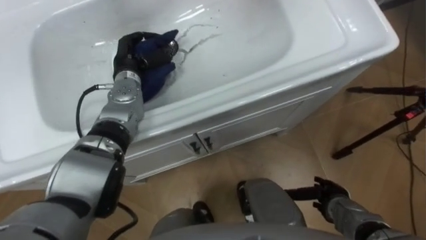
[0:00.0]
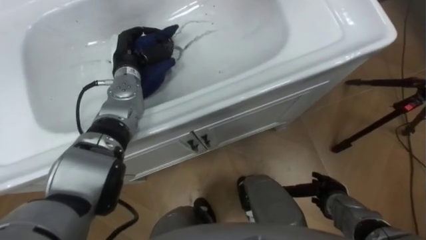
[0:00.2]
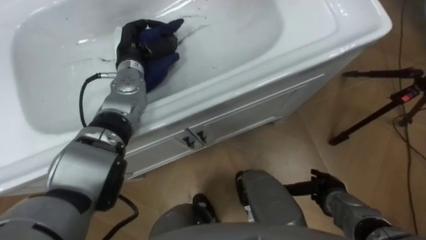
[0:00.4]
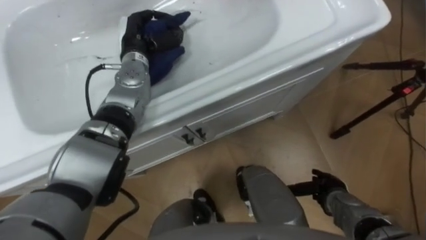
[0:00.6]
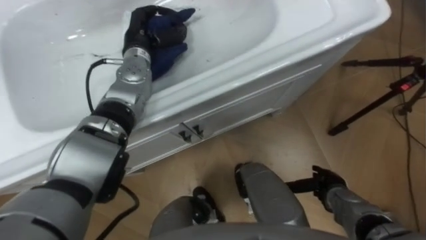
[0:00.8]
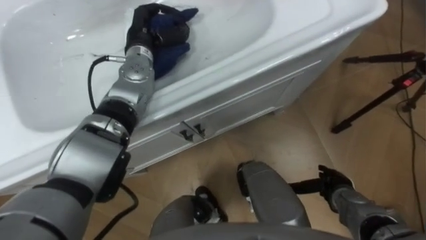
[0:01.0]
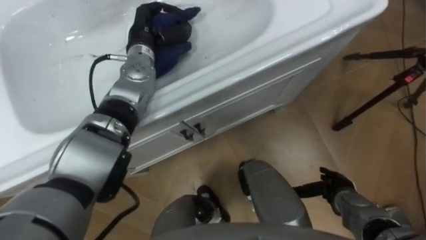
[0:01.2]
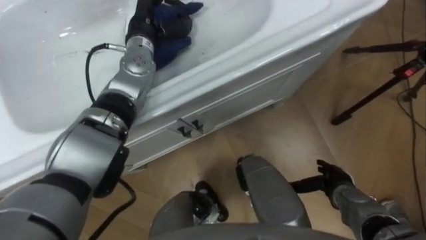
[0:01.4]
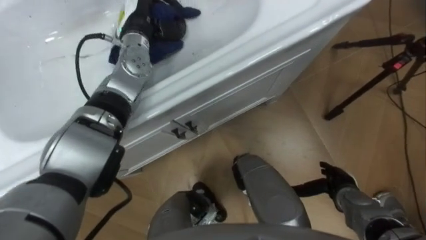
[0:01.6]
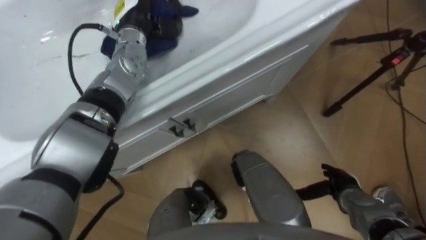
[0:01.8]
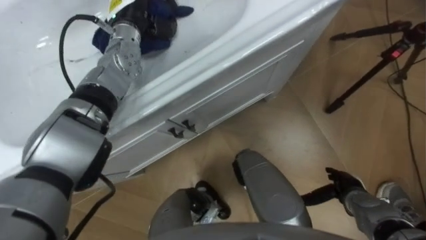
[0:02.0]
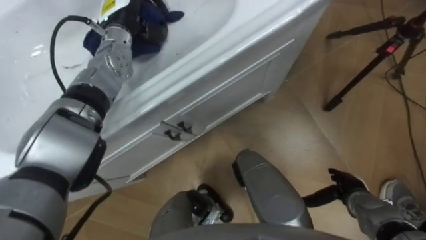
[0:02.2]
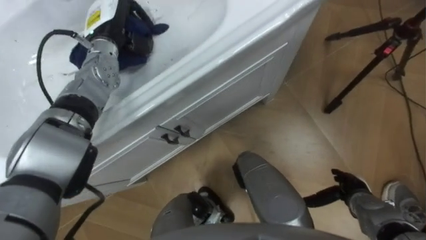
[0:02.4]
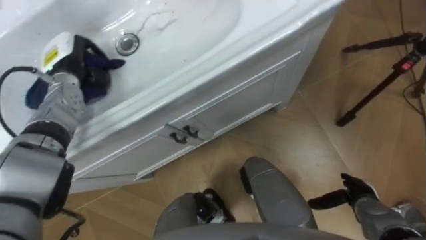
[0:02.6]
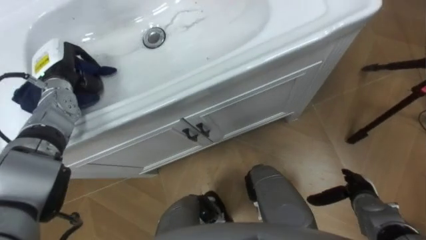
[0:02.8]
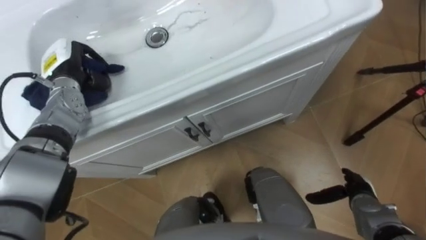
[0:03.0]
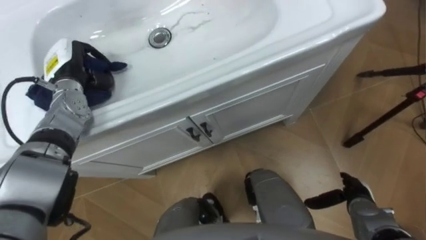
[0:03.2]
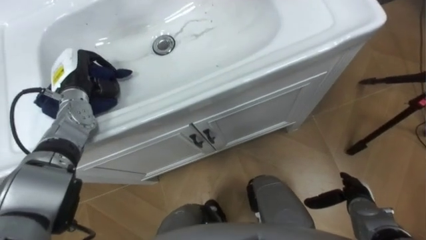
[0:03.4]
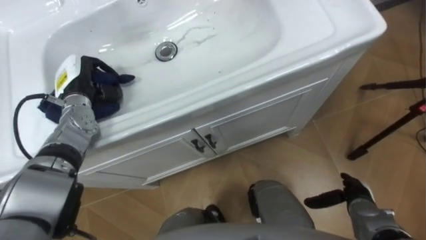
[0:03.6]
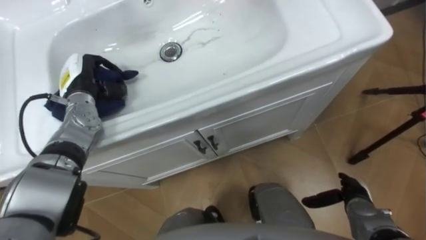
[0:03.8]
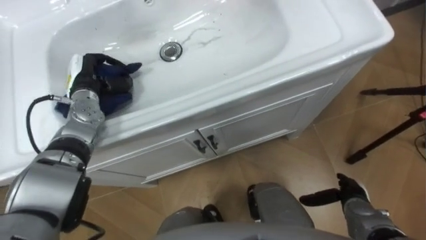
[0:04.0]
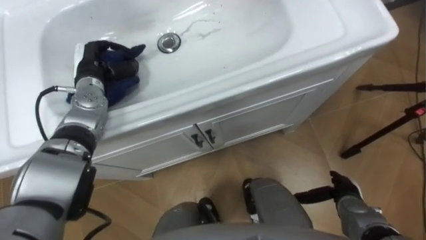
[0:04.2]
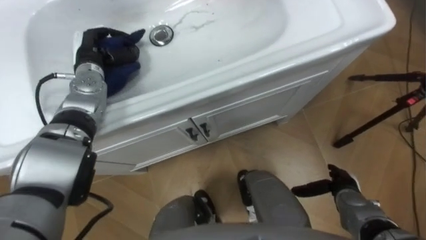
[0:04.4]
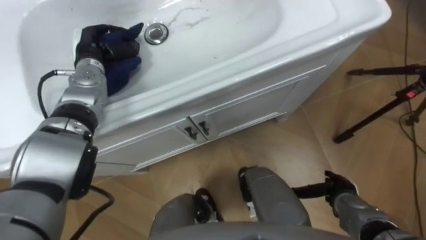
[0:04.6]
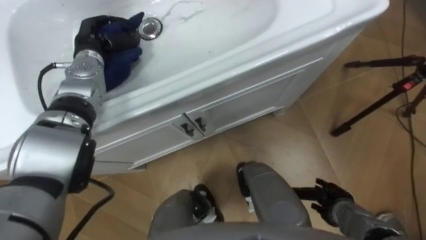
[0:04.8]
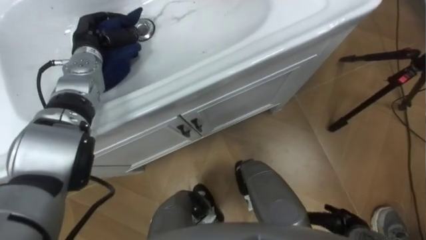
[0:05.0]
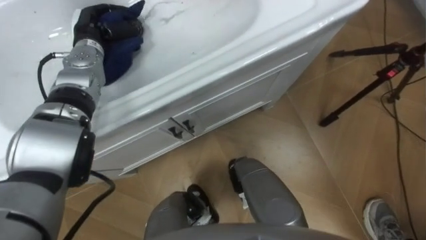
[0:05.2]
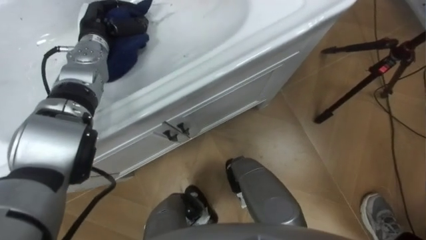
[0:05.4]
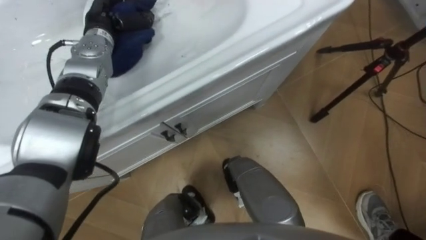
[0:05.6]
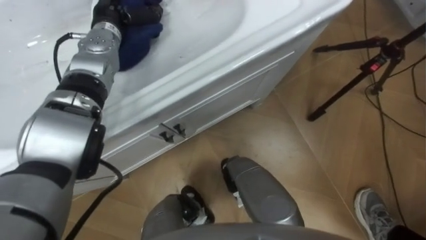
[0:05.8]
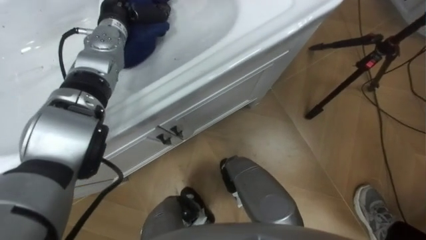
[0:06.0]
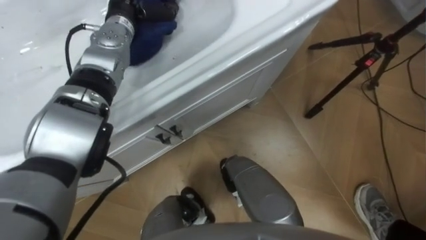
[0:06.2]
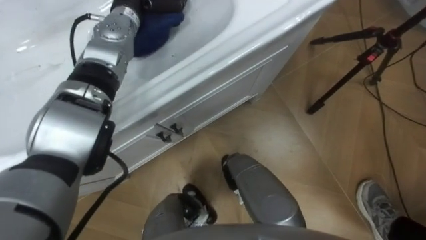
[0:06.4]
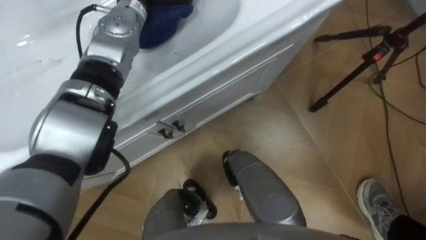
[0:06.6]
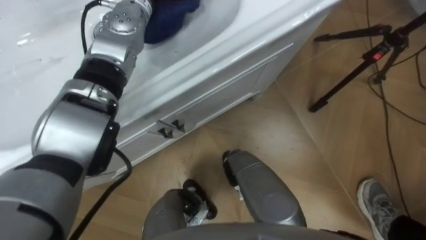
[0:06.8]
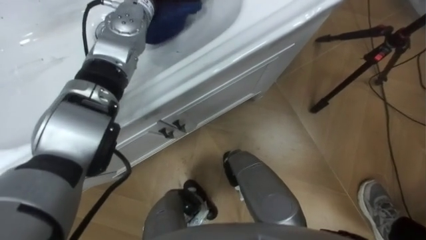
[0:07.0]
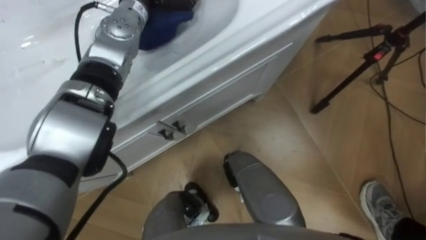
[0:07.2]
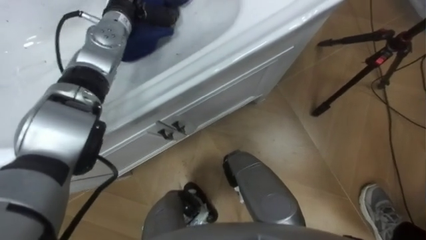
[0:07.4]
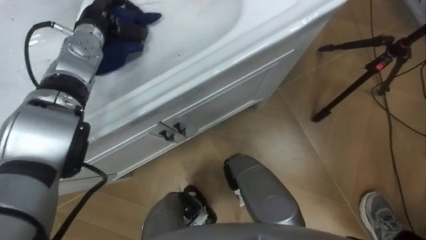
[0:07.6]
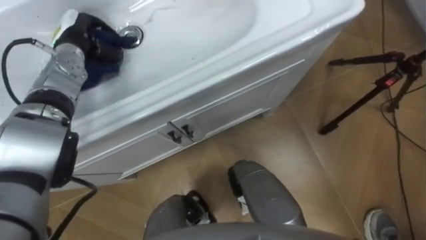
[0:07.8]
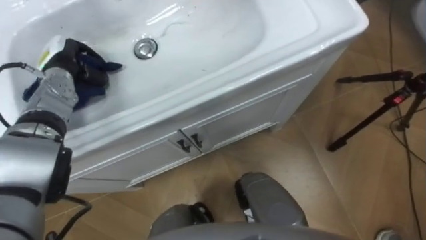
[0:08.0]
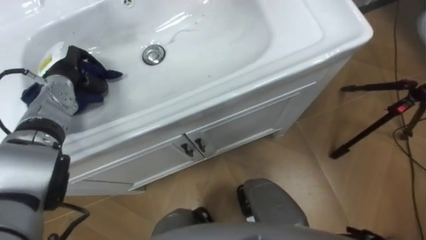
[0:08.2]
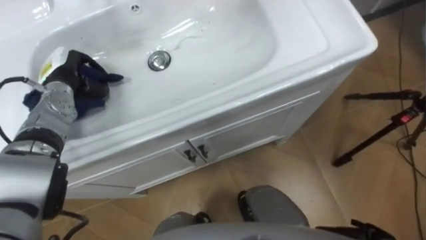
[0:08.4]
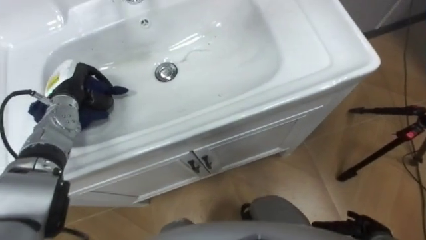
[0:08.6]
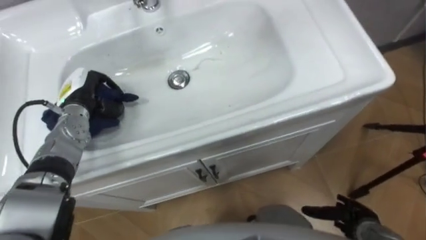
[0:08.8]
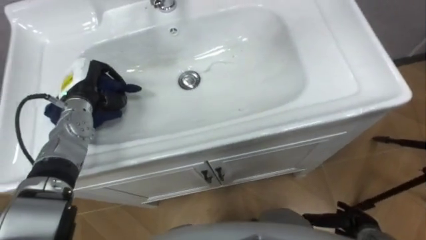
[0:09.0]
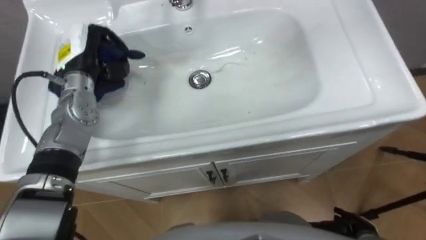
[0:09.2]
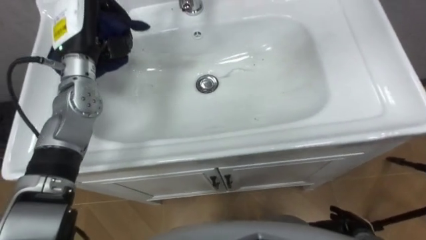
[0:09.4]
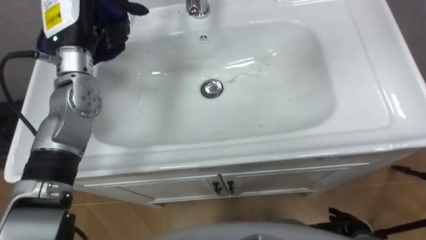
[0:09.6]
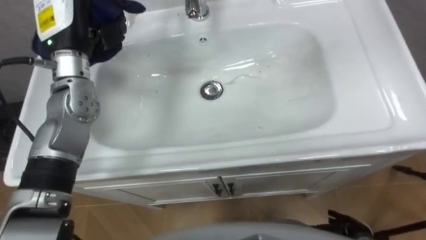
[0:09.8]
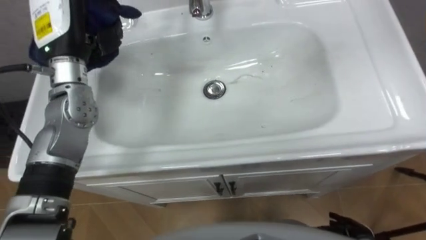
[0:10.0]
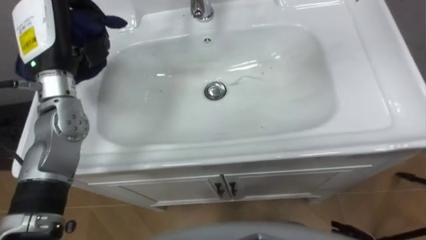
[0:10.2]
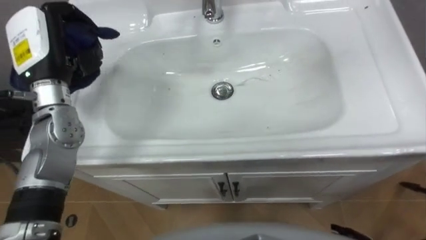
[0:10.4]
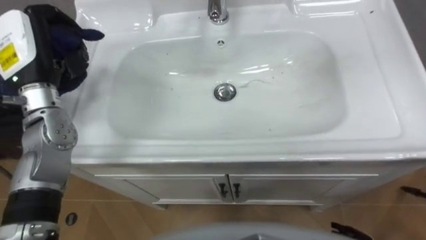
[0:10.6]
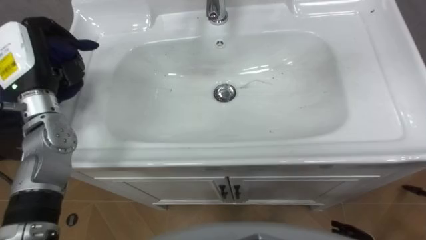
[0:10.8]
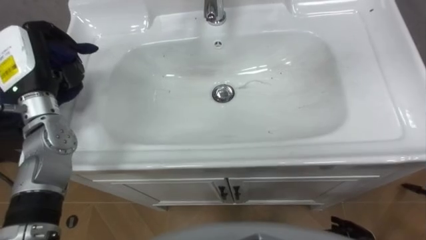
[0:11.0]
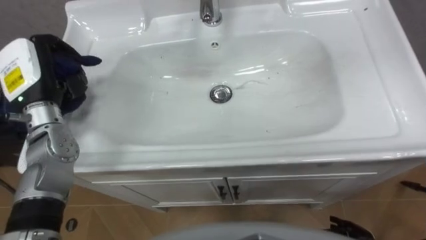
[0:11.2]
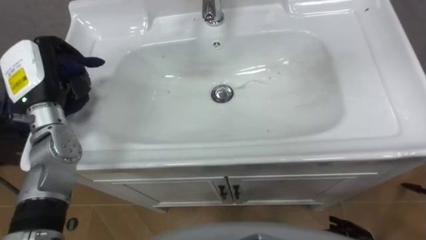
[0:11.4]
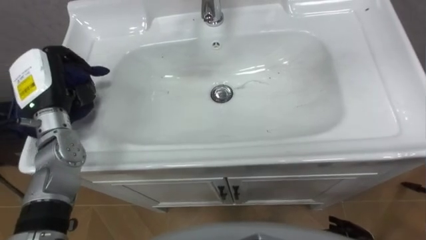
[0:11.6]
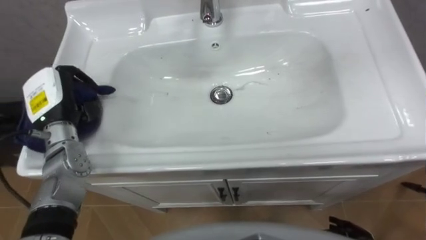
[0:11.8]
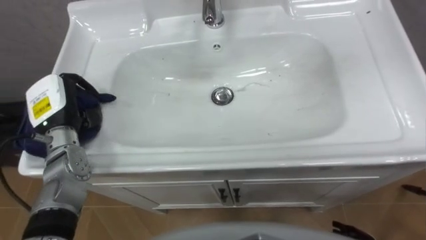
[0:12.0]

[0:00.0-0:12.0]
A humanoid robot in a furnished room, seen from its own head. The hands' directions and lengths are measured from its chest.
Task of the whole recording: Use the cloth on the right to wipe away the black stain in the sink.
0:00.0 to 0:01.6: The left hand goes roughly 10 cm upward.
0:01.6 to 0:03.0: The left hand shifts approximately 20 cm to the left, downward and backward.
0:03.0 to 0:04.4: The left hand moves about 5 cm.
0:04.4 to 0:06.0: The left hand heads to the right, upward and forward, covering some 10 cm.
0:07.6 to 0:09.0: The left hand travels backward, downward and to the left by about 15 cm.
0:09.0 to 0:10.4: The left hand shifts about 15 cm upward.
0:10.4 to 0:12.0: The left hand heads downward, covering about 10 cm.

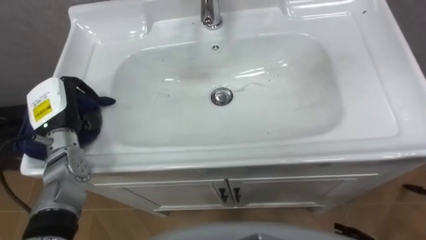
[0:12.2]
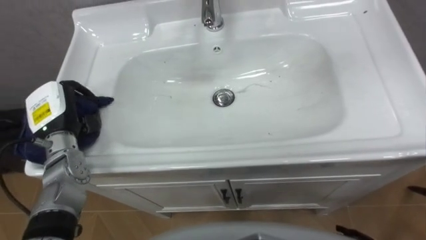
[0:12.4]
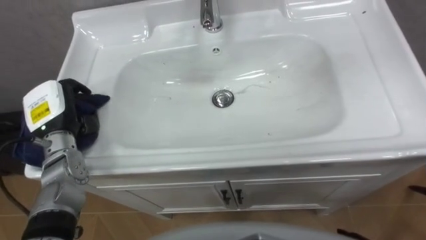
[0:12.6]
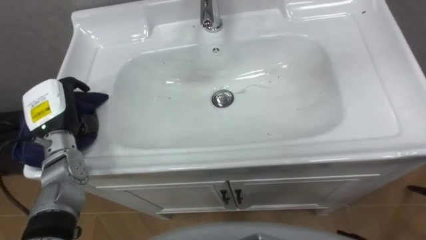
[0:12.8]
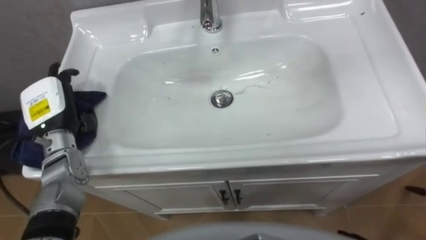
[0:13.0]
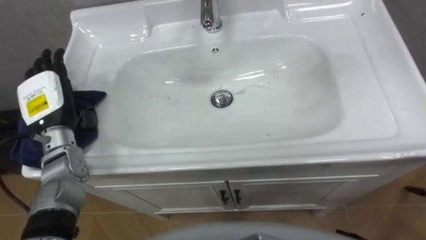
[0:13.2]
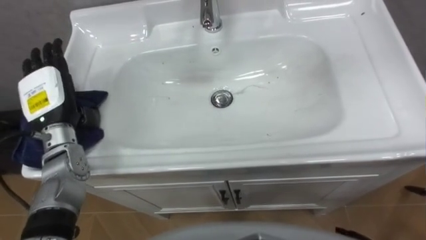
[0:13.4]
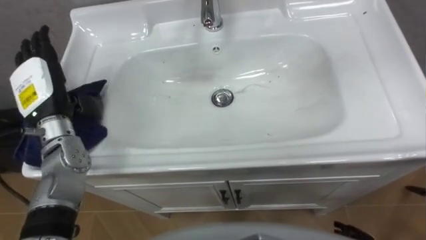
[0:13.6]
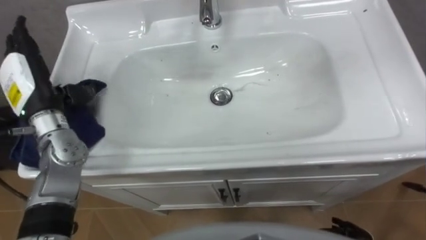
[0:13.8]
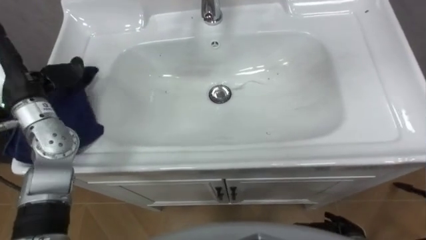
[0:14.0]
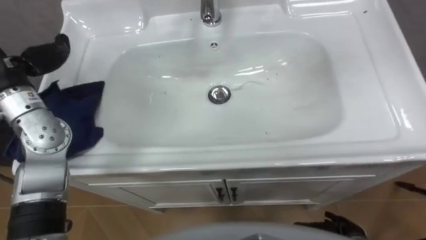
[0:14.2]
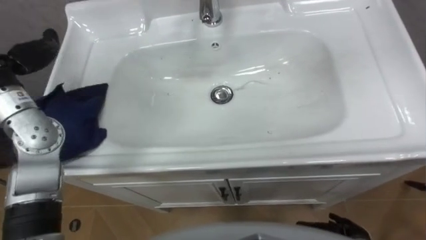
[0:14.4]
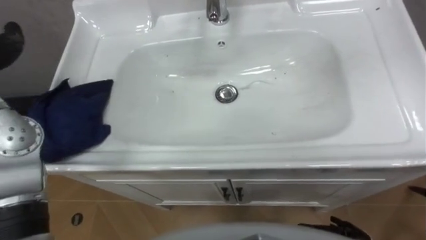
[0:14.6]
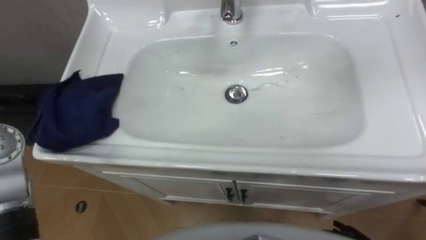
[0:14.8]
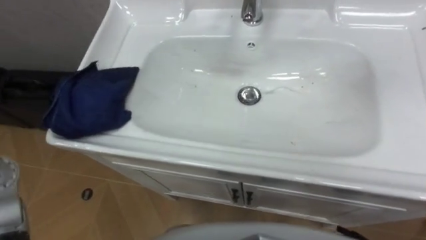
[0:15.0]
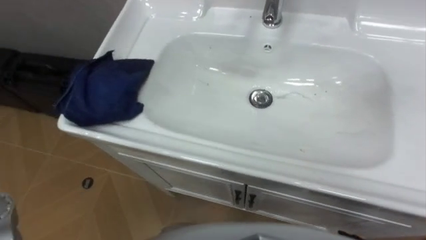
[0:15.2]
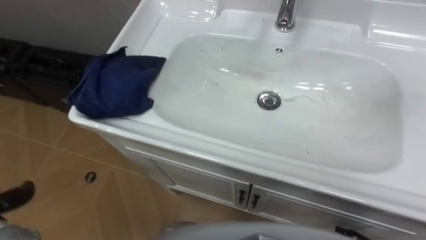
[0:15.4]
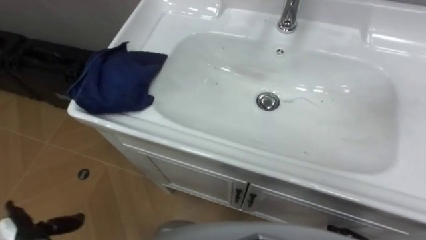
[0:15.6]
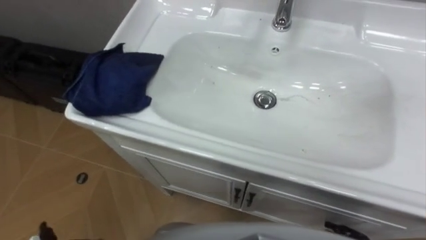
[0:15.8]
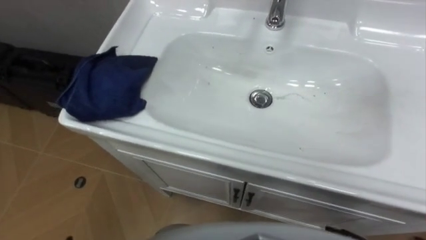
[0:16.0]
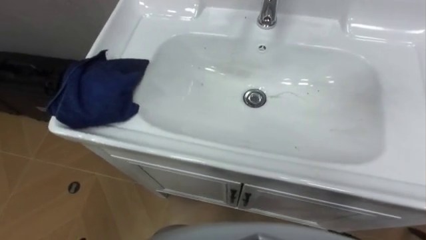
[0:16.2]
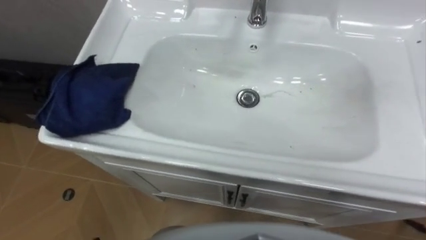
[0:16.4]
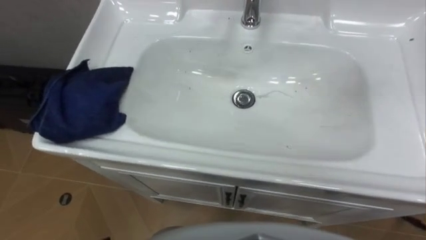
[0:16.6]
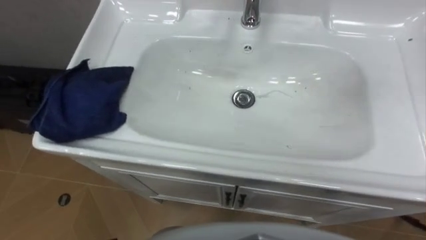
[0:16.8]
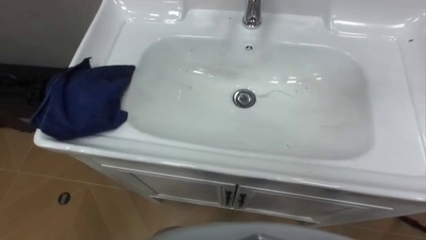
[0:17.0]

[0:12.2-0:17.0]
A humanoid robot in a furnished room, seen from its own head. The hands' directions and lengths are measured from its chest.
Task of the whole recording: Use the cloth on the right to wipe away the black stain in the sink.
0:12.2 to 0:13.8: The left hand shifts about 5 cm upward, and opens up.
